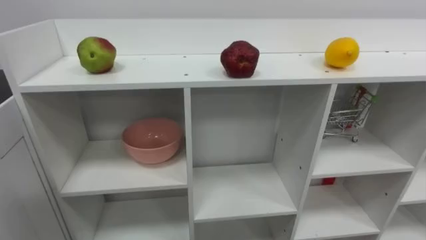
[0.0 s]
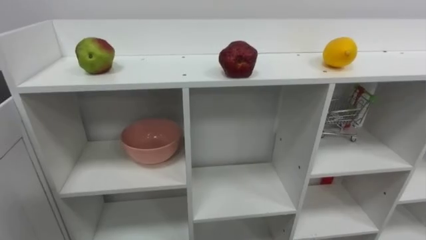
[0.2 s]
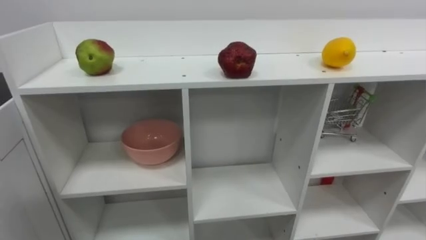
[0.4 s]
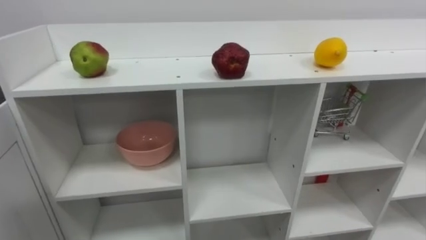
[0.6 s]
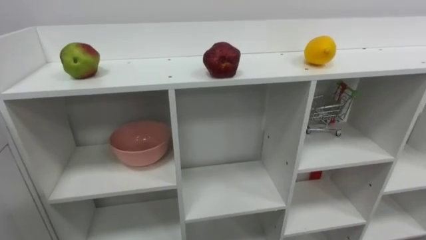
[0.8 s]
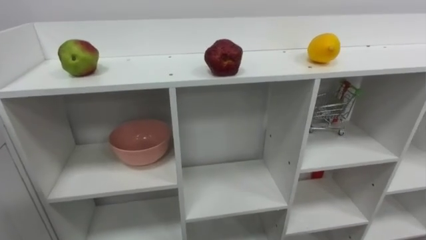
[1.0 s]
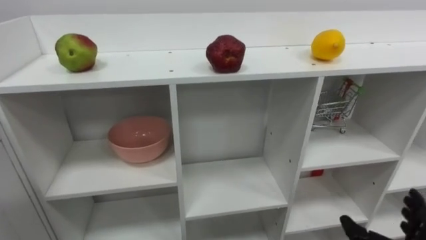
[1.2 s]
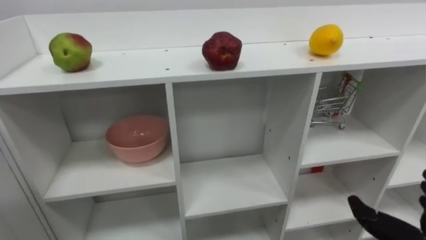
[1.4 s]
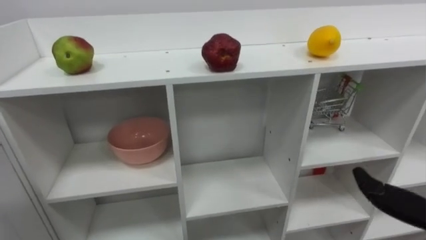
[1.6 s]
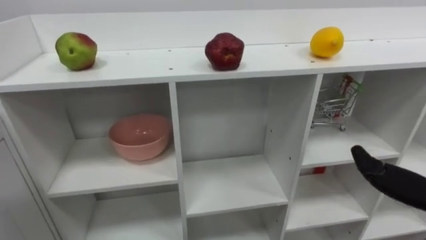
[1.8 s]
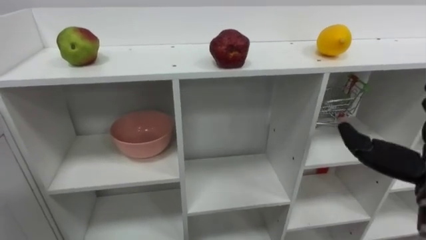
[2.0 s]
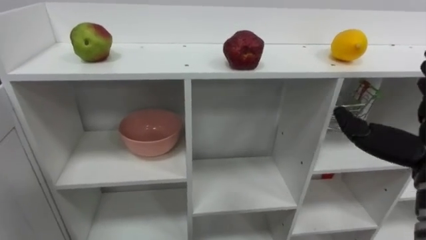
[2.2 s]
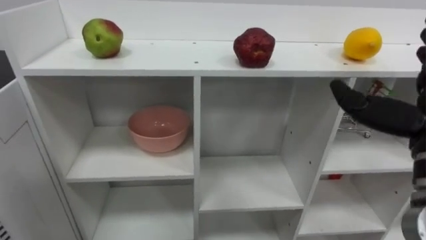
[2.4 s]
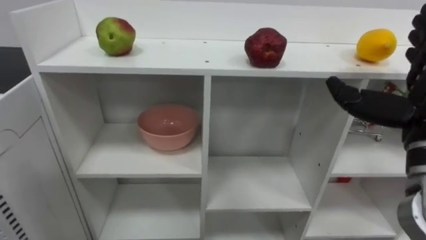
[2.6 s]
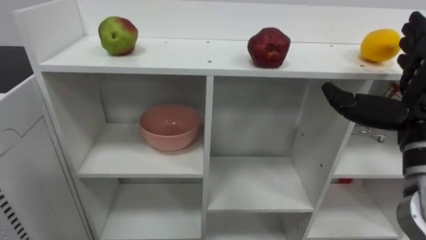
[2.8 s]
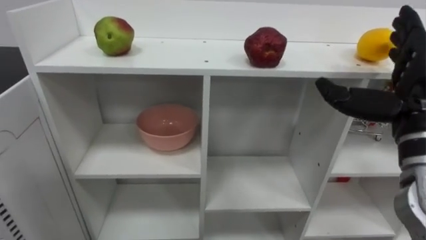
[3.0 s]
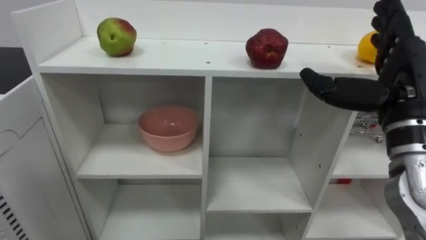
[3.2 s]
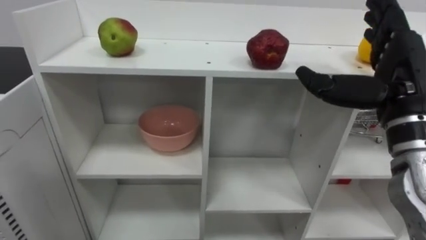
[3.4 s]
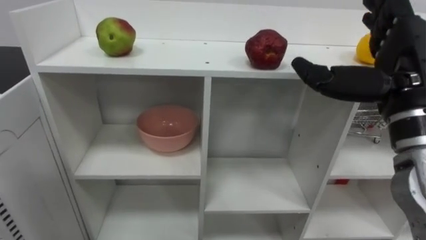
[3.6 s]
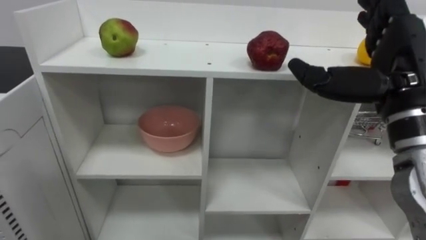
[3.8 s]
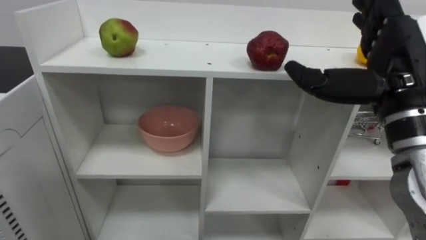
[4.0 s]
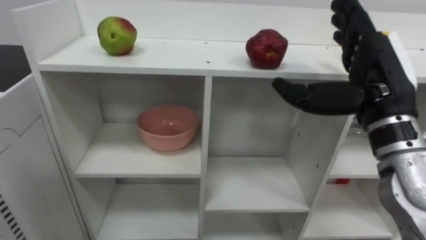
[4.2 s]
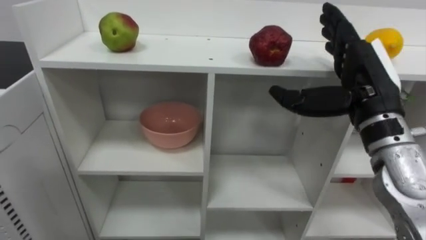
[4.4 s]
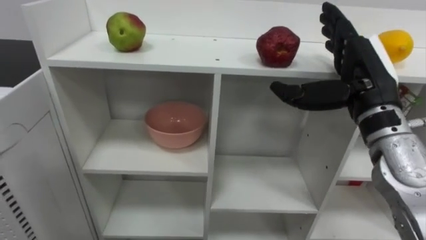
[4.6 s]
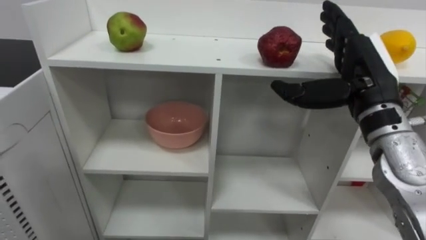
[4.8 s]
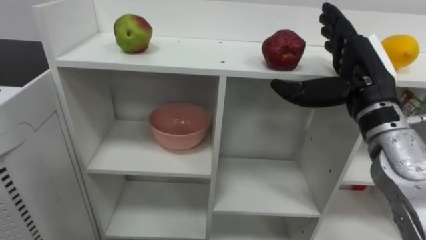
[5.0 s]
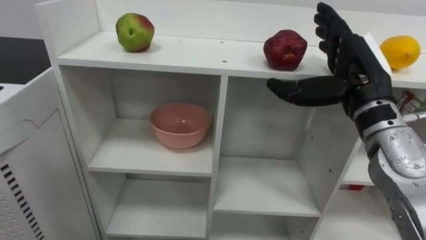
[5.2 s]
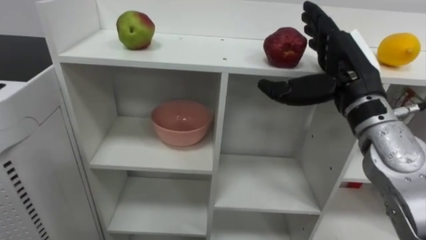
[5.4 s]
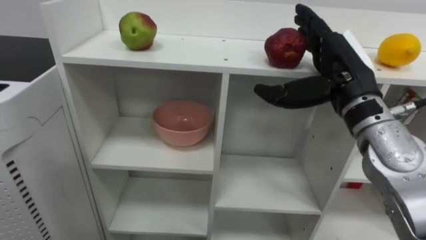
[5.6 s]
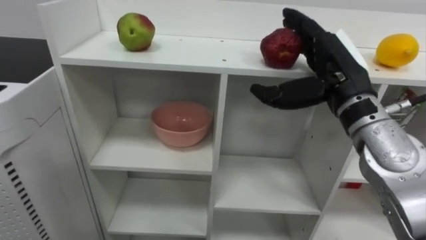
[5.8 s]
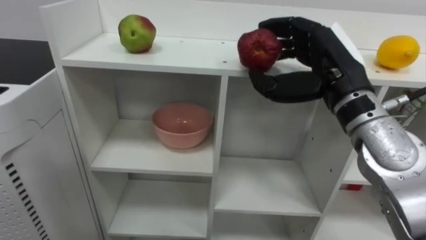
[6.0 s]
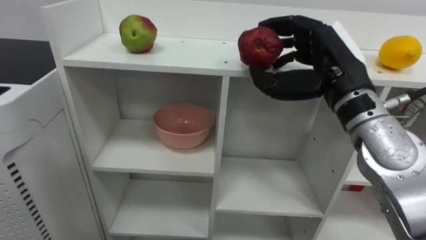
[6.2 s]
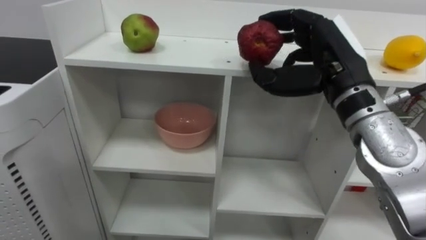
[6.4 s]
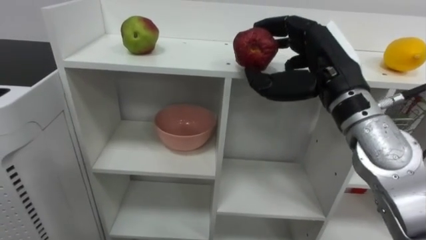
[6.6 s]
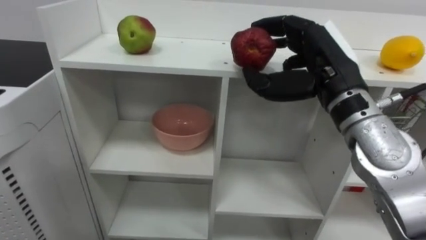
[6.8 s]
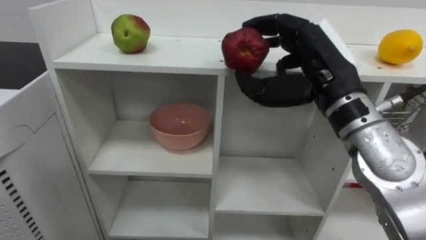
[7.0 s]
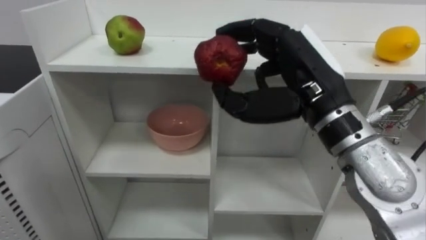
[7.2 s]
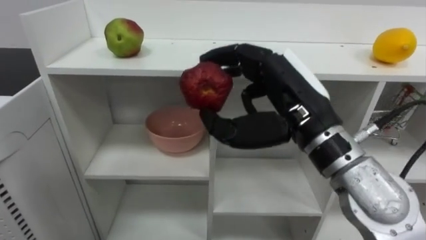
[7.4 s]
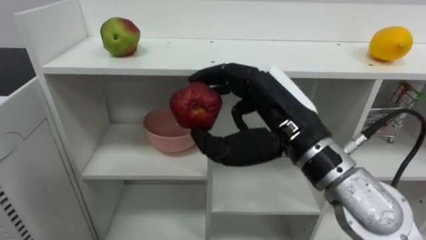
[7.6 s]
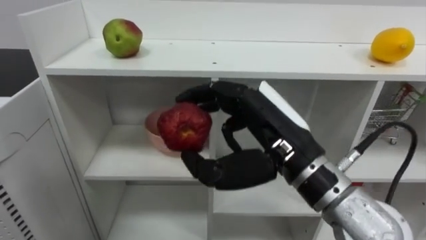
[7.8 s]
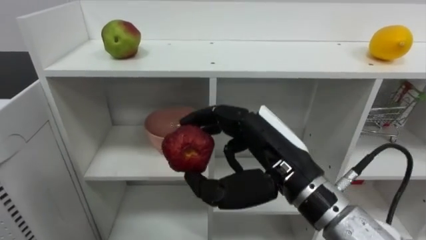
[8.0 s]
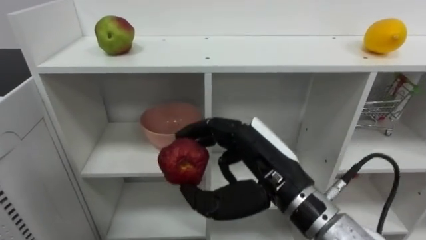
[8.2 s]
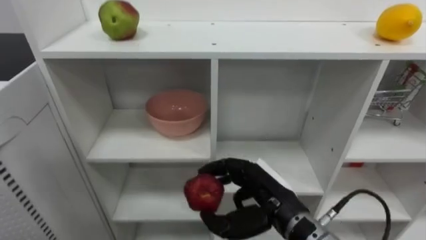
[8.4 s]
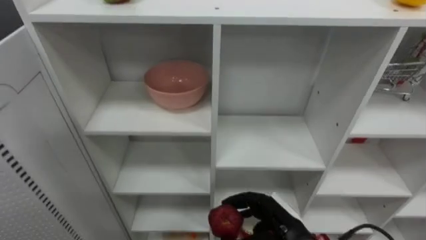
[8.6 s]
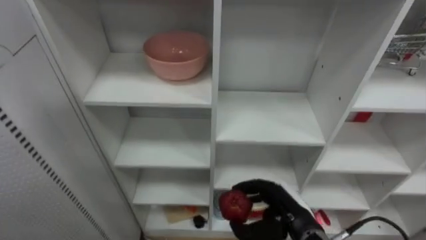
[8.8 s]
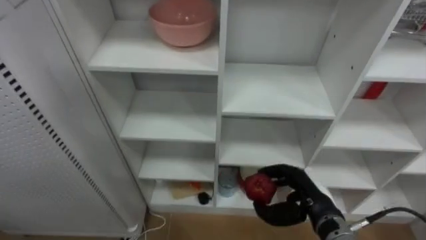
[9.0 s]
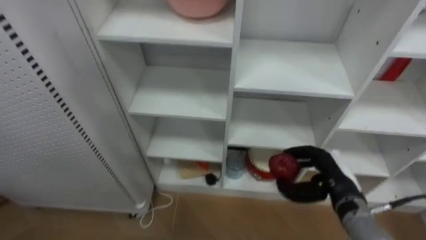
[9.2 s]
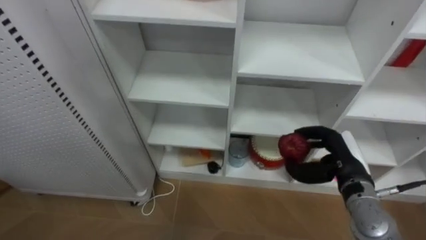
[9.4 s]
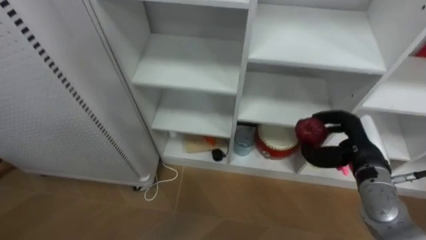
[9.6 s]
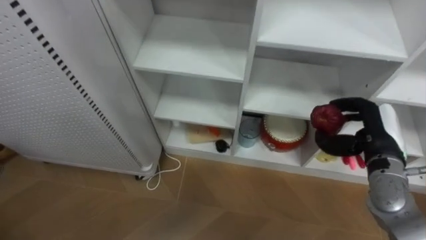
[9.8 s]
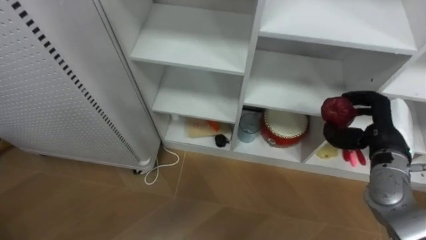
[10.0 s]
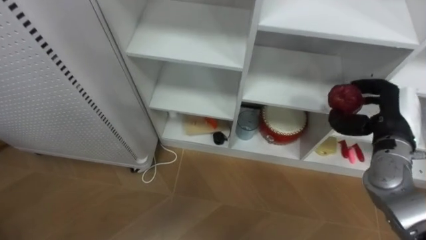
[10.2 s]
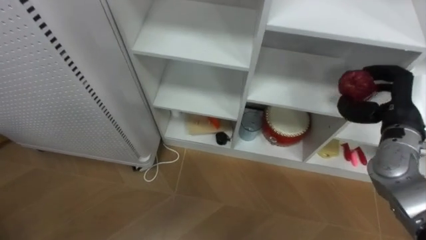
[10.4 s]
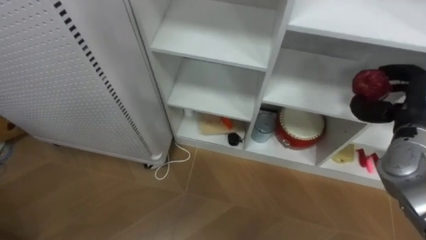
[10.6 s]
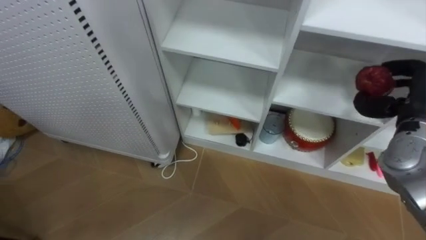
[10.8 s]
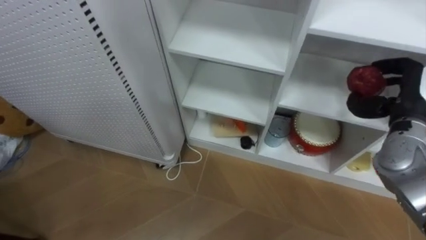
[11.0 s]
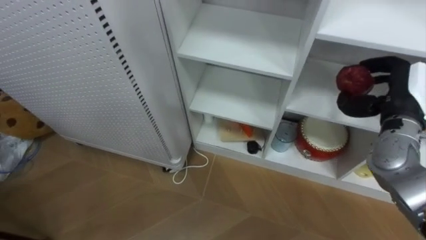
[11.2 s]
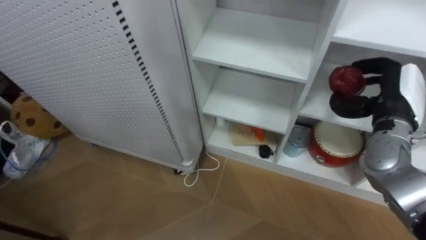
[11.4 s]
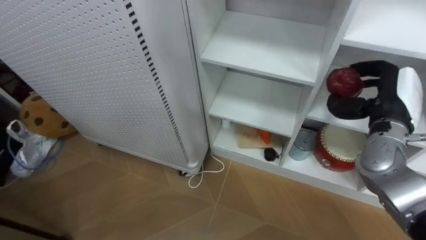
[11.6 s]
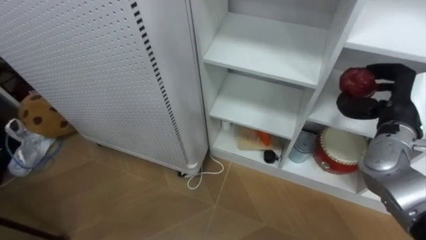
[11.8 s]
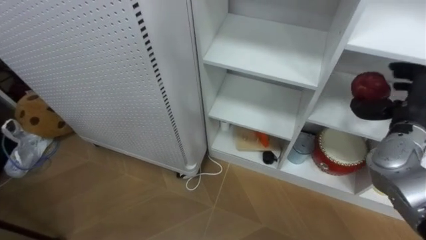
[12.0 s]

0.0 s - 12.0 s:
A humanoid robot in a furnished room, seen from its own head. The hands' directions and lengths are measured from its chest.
Task of the whole recording: Put the apple in the cell in the second column from the left and the second row from the top.
3.0 s - 4.4 s: The right hand heads to the left, covering roughly 5 cm.
6.0 s - 7.6 s: The right hand is displaced to the left and backward by some 10 cm.
7.6 s - 9.0 s: The right hand moves downward, about 20 cm.
9.0 s - 10.4 s: The right hand moves upward and to the right, some 20 cm.

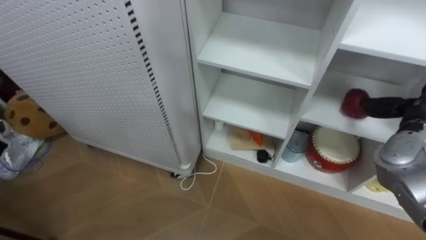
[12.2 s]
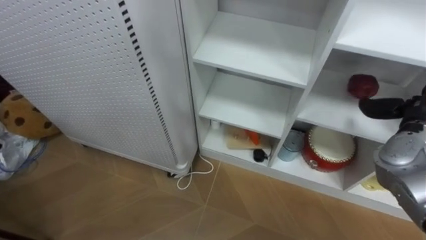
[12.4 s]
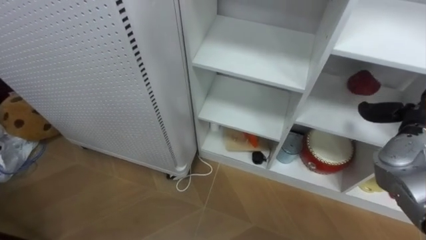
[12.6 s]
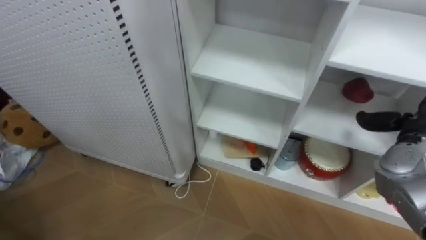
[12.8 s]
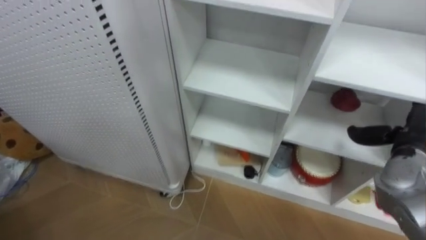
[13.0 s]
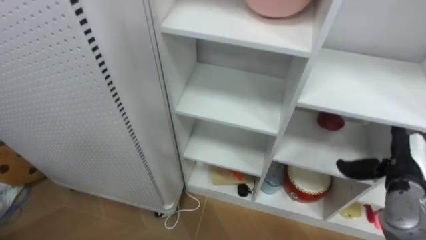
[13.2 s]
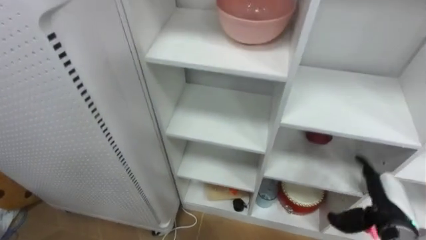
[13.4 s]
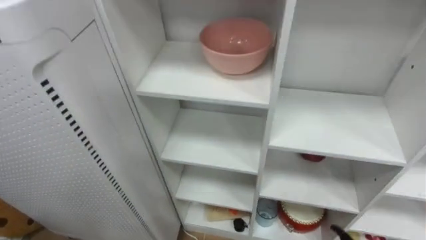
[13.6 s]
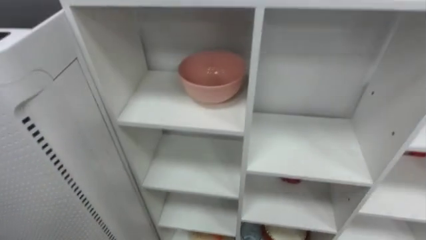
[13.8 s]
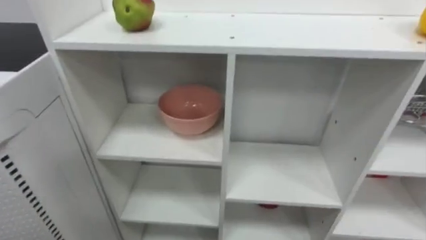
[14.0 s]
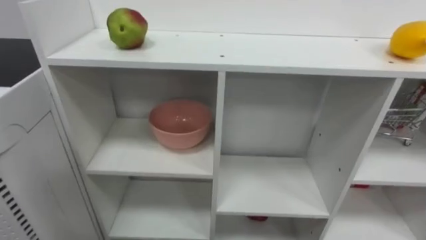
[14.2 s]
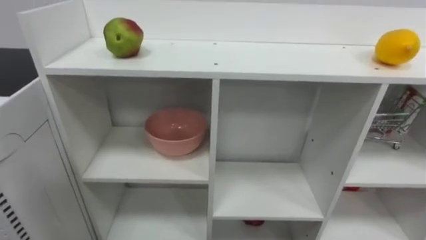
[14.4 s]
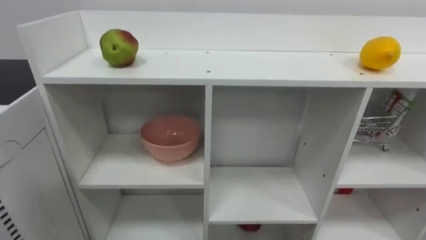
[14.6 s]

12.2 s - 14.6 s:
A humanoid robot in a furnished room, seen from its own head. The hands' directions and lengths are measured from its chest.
Task of the whole recording: Put the apple in the cell in the second column from the left and the second row from the top.
12.2 s - 13.4 s: The right hand shifts some 15 cm downward.

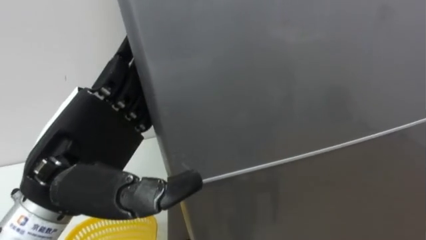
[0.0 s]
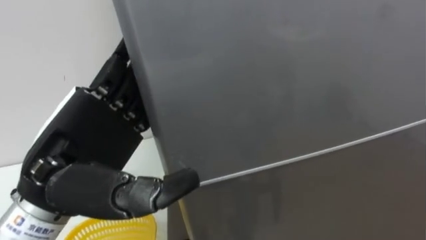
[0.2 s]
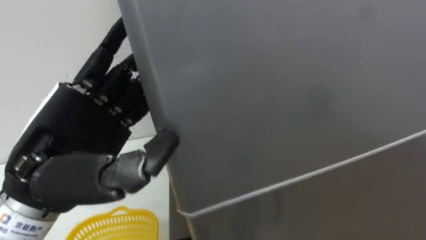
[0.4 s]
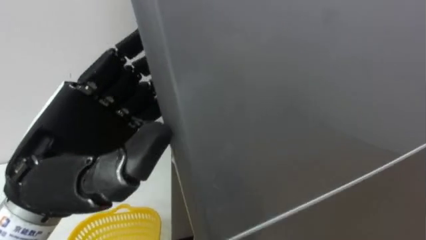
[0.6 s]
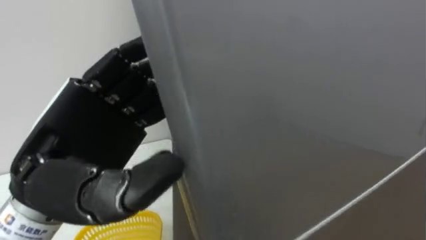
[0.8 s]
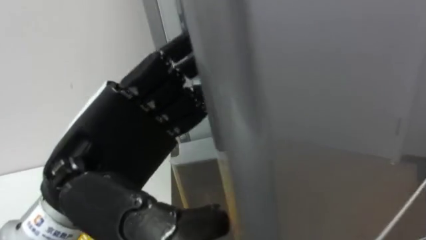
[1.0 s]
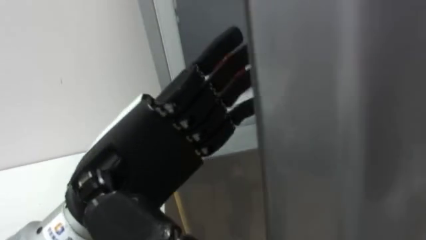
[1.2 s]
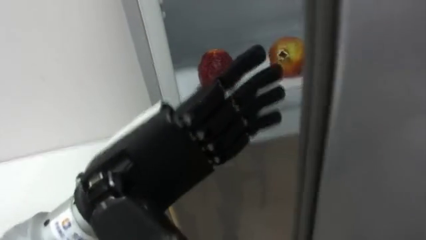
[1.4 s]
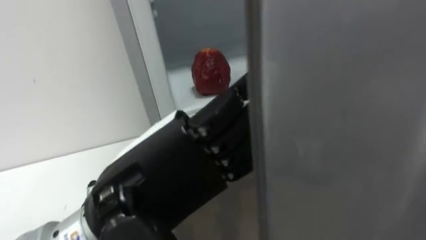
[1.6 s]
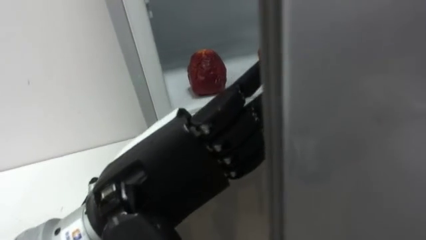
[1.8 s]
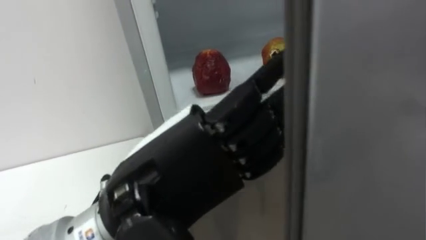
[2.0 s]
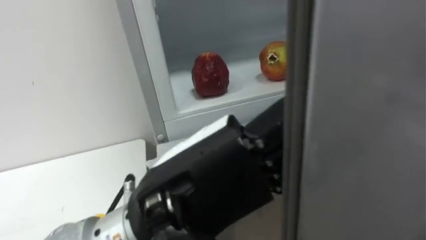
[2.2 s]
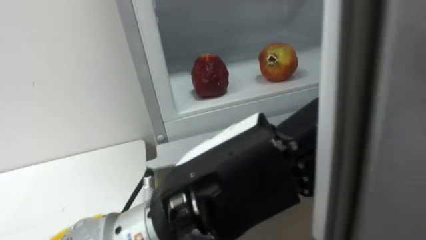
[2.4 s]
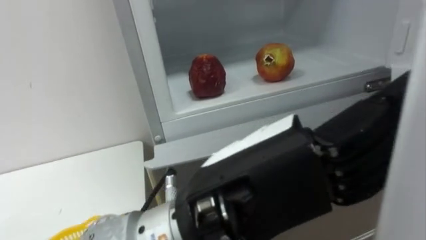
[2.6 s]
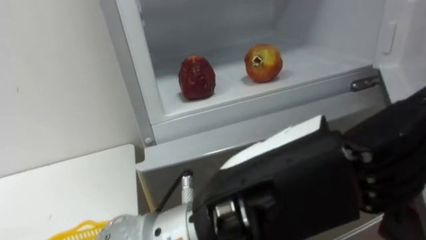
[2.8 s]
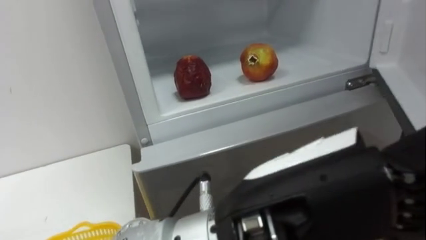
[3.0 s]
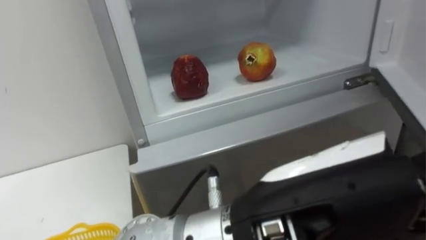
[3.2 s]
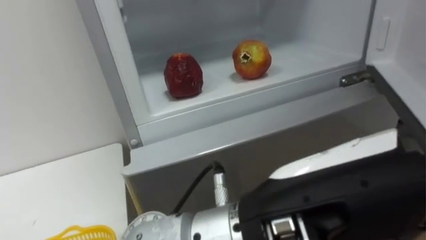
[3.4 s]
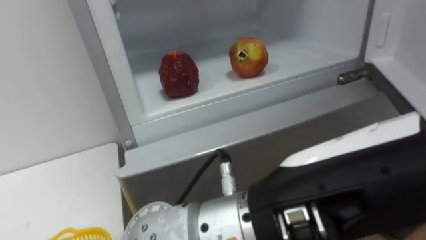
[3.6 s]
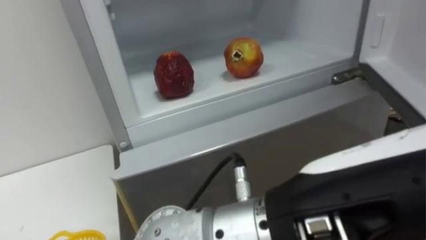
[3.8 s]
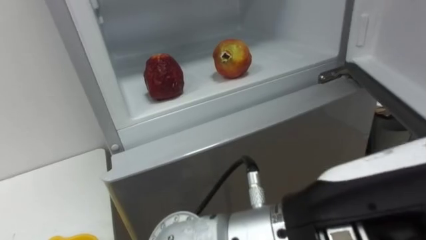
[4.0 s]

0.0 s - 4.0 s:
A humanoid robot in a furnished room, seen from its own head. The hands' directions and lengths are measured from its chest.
Task of the whole recording: Open the refrigerator door, take out the apple and the pomegranate, place them in the fruit basket on the left, and close the refrigerator door.
0.0 s - 1.4 s: The left hand goes about 5 cm to the right, and closes, then opens again.
1.4 s - 2.6 s: The left hand shifts roughly 10 cm to the right.
2.6 s - 4.0 s: The left hand goes some 5 cm to the right.
